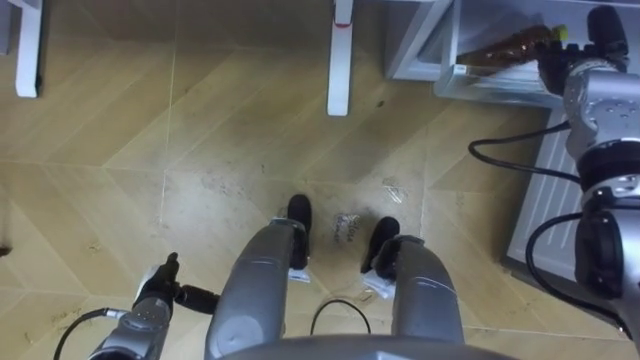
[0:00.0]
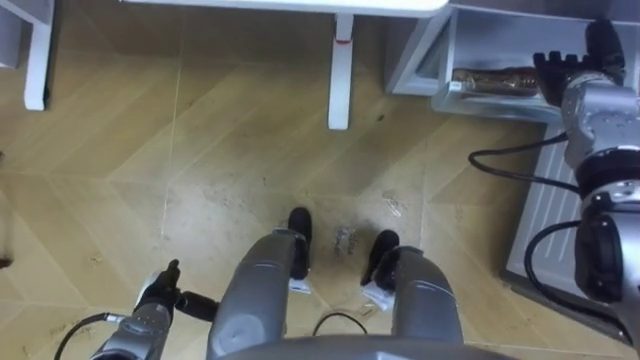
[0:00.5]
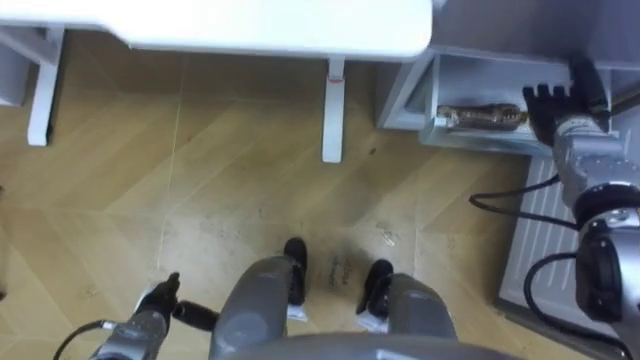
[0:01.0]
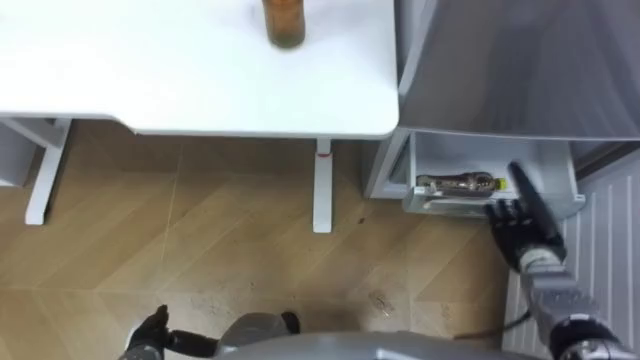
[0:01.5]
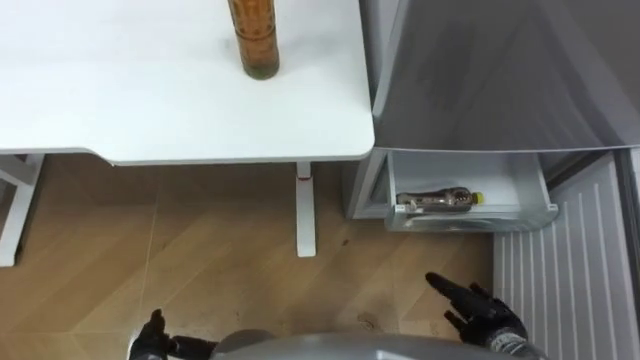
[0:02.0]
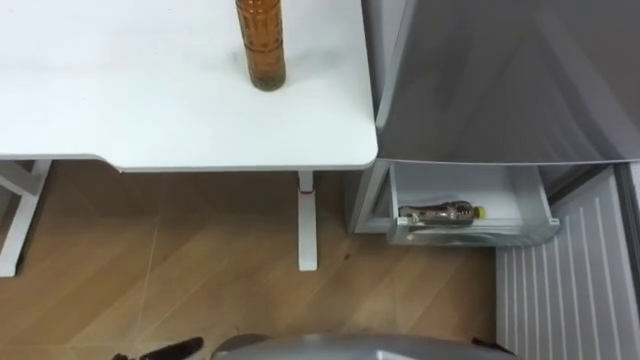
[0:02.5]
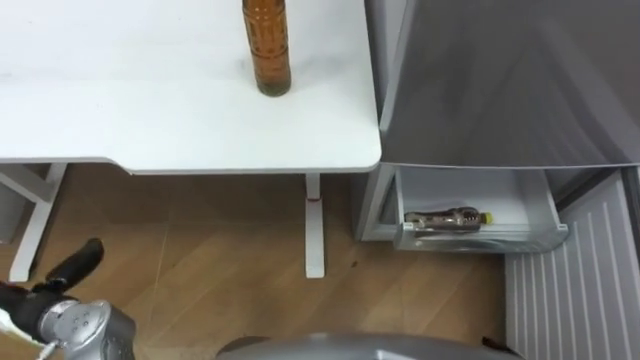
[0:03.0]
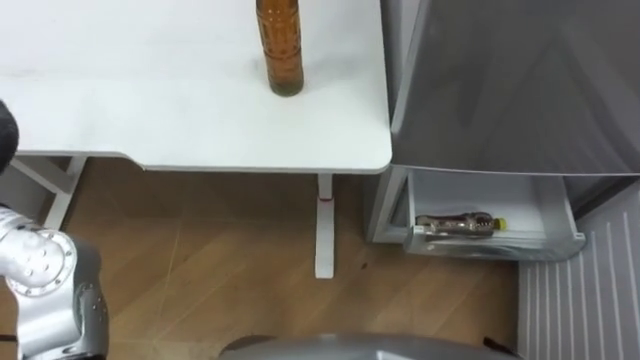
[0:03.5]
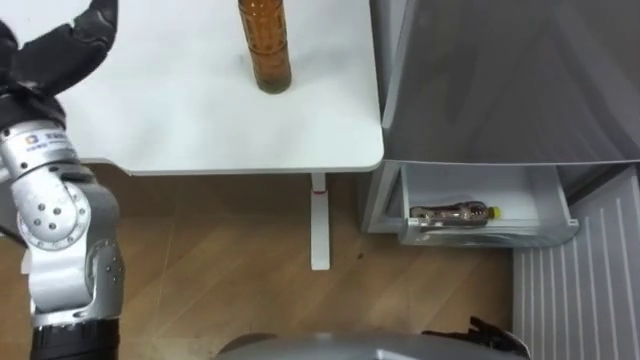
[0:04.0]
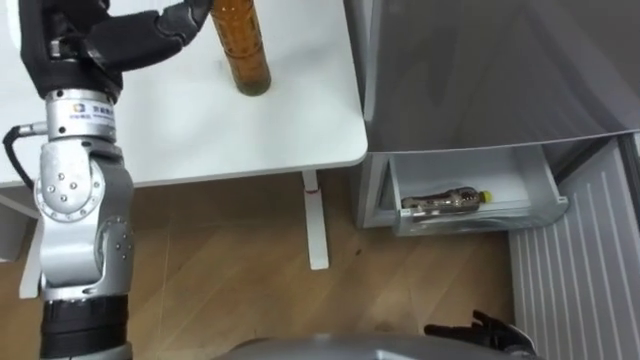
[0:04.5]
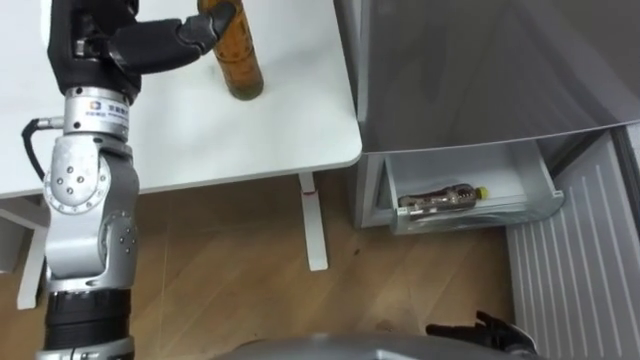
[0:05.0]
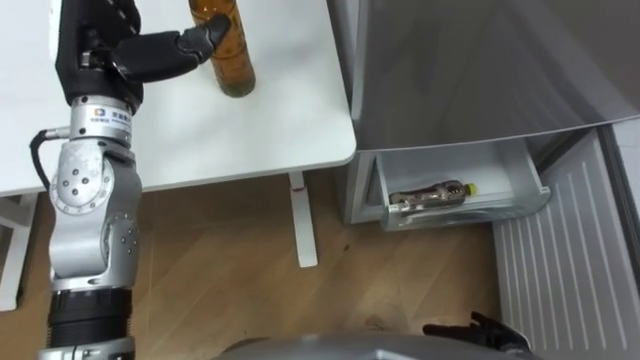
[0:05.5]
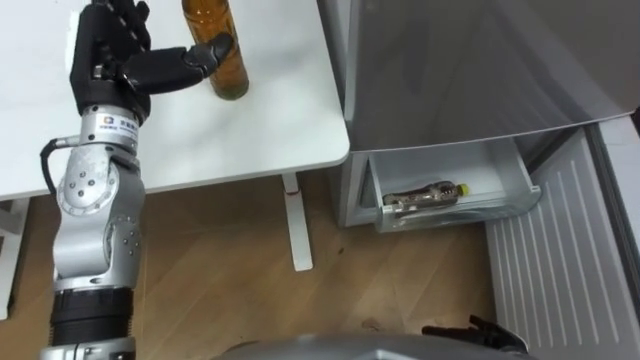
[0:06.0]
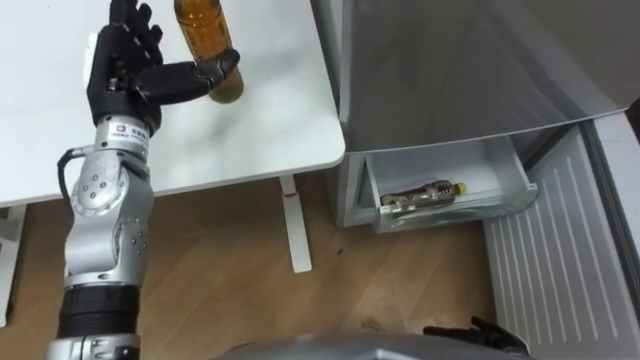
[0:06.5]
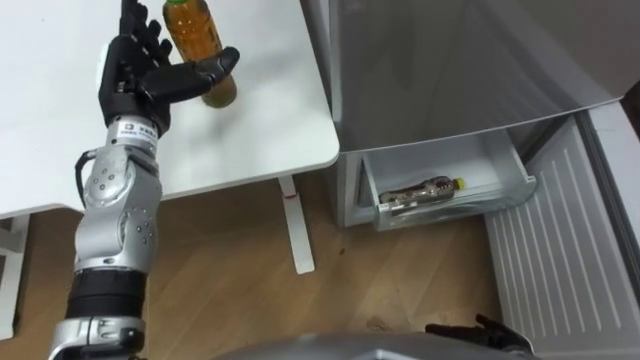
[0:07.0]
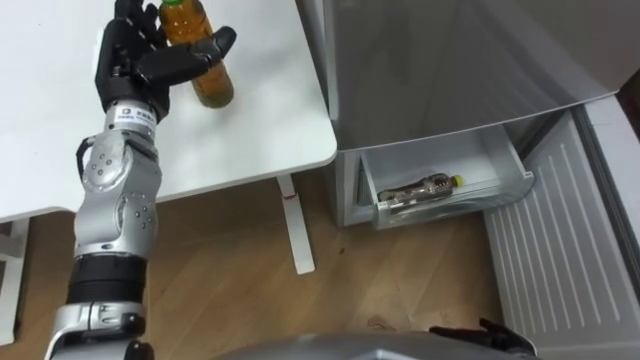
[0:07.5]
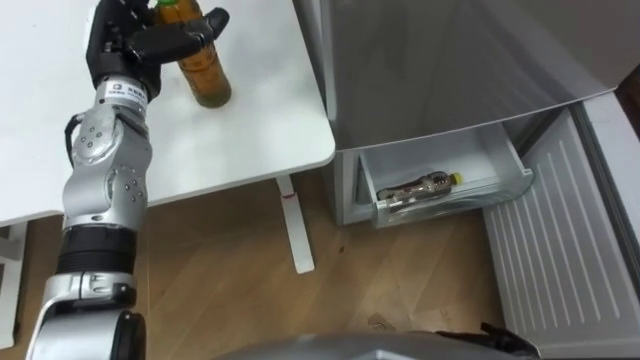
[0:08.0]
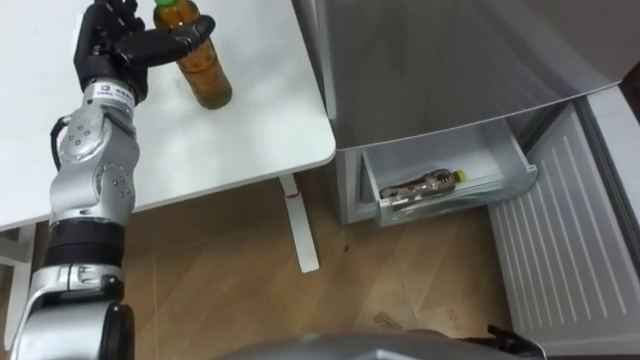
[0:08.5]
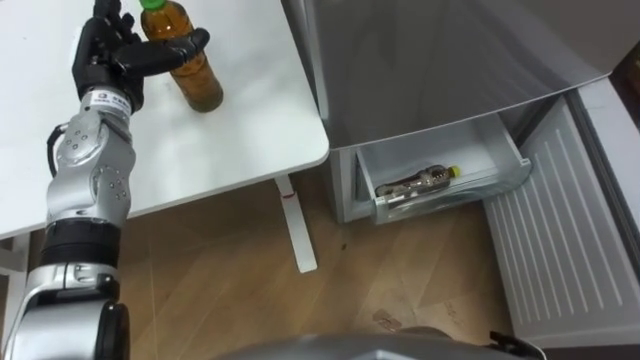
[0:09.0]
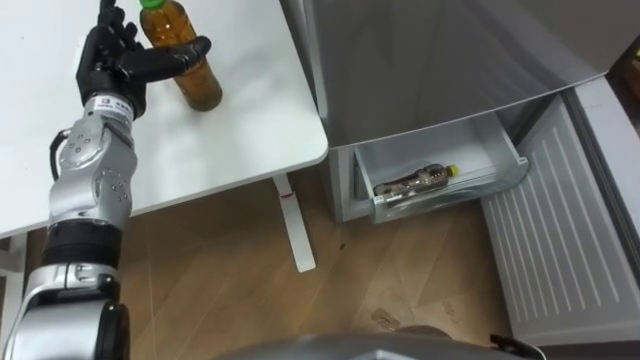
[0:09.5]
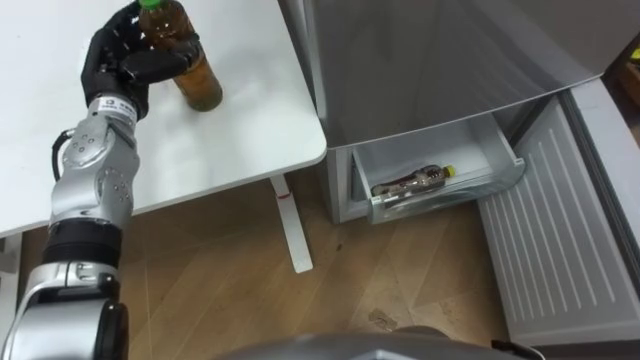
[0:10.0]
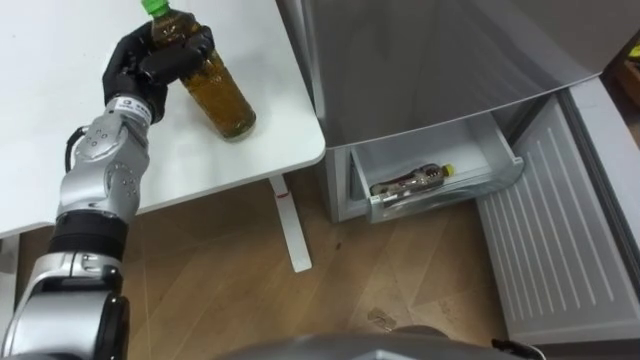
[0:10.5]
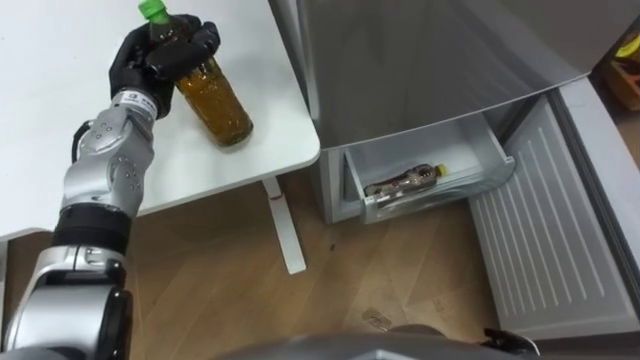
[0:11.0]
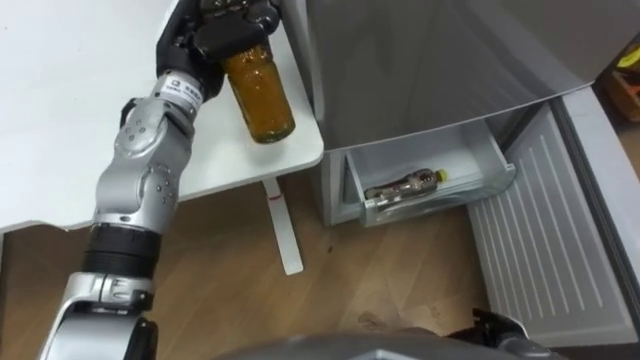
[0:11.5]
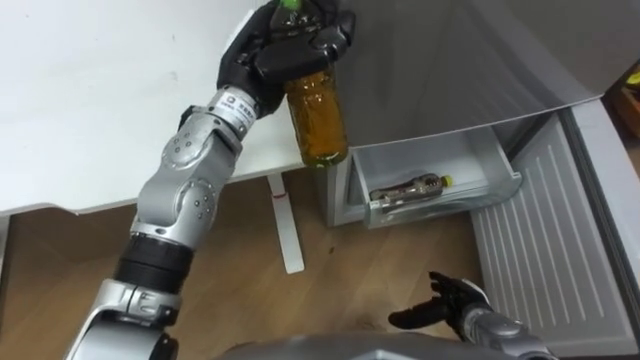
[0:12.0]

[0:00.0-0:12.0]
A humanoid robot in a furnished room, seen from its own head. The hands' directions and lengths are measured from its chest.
Task of the whole recording: Place the drink on the table on the bottom shelf of the refrigerator, then close the drawer and the refrigerator door.
0:00.0 to 0:02.0: The right hand goes some 40 cm backward and downward; the left hand moves backward, roughly 10 cm.
0:06.0 to 0:08.0: The left hand ends up about 5 cm from where it was.
0:08.0 to 0:10.0: The left hand closes its fingers.
0:10.0 to 0:12.0: The left hand goes some 20 cm to the right, and closes its fingers.

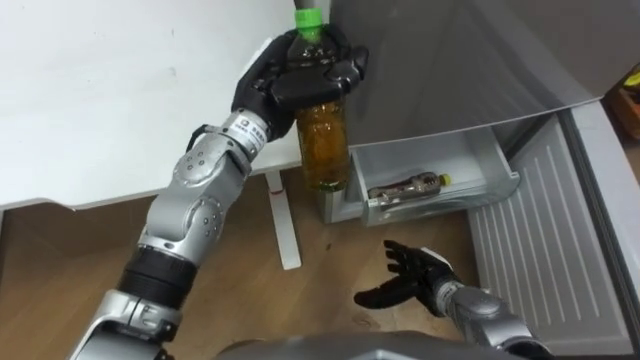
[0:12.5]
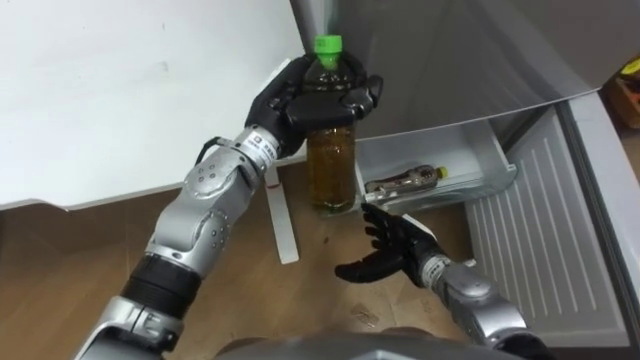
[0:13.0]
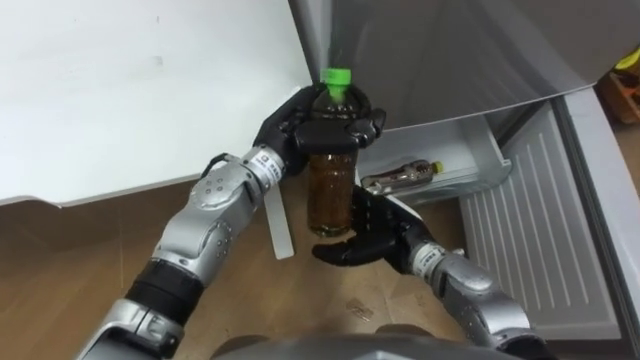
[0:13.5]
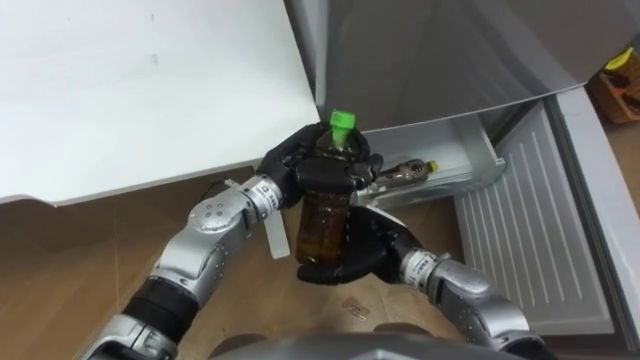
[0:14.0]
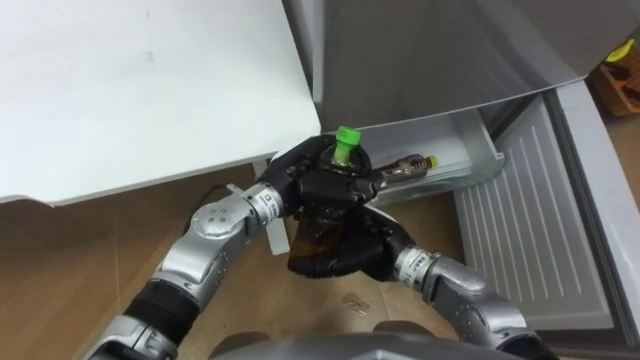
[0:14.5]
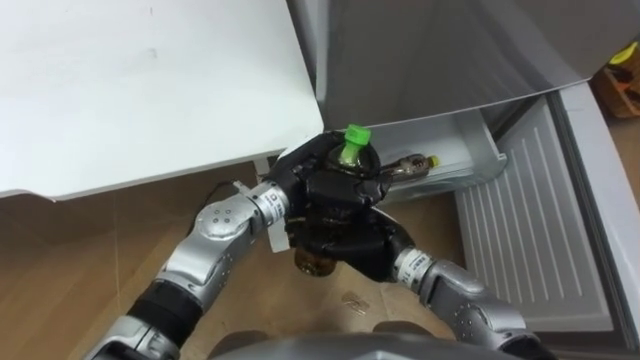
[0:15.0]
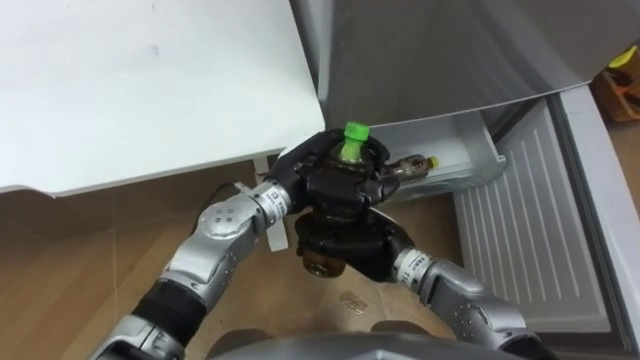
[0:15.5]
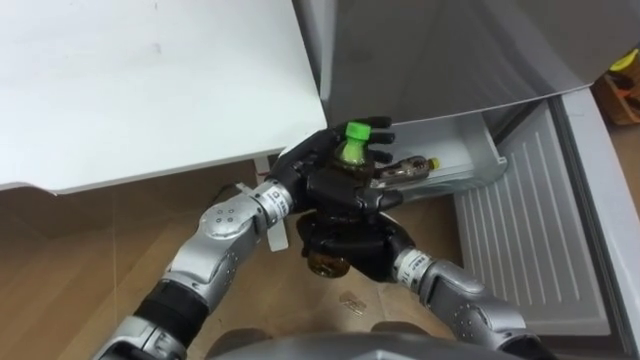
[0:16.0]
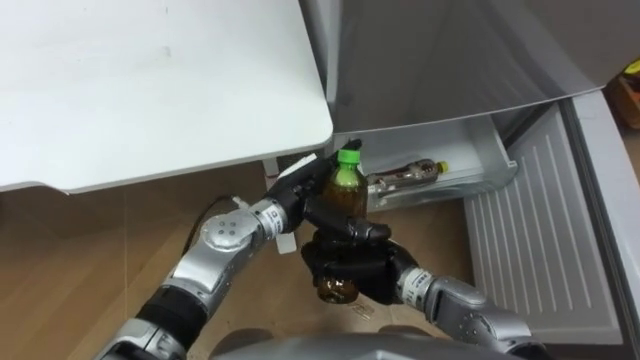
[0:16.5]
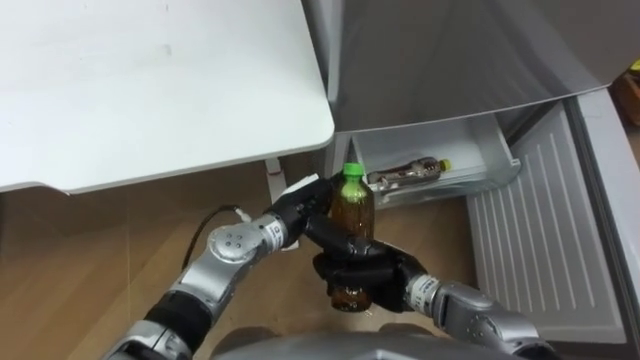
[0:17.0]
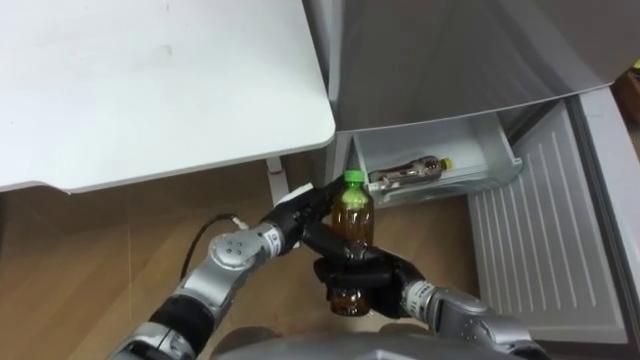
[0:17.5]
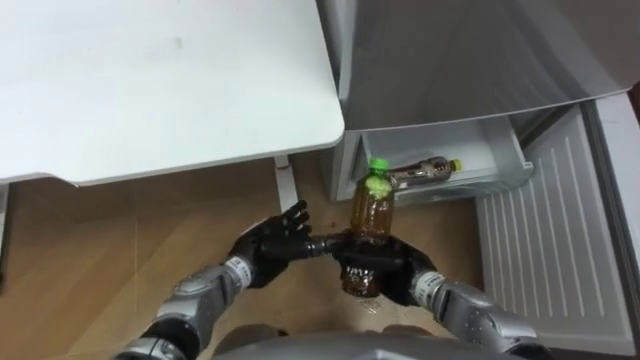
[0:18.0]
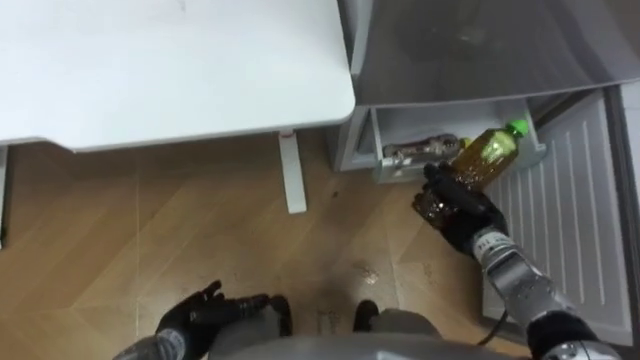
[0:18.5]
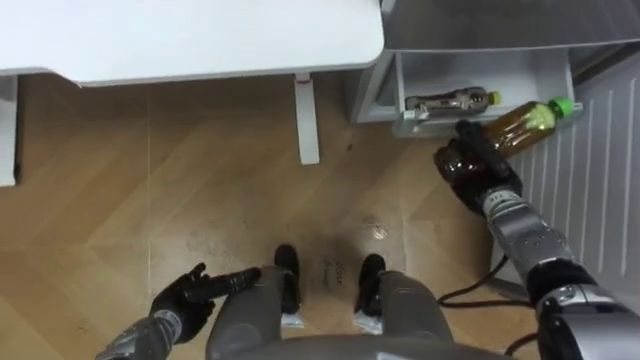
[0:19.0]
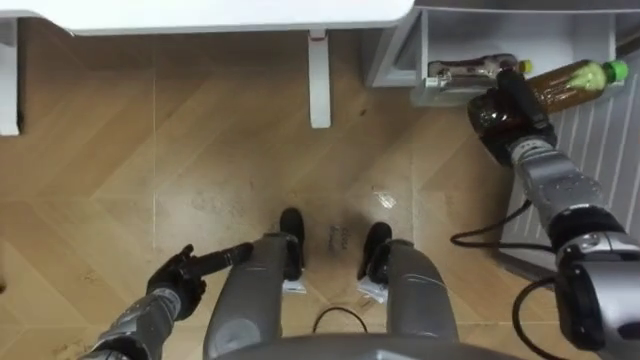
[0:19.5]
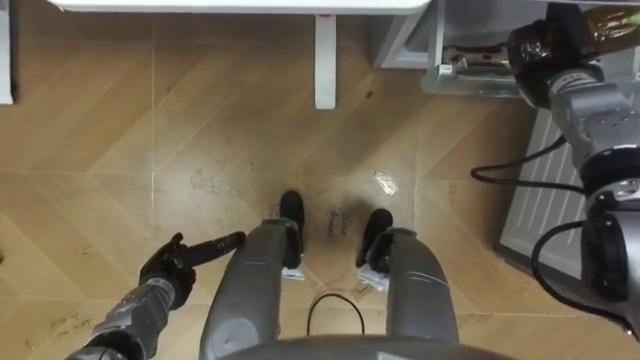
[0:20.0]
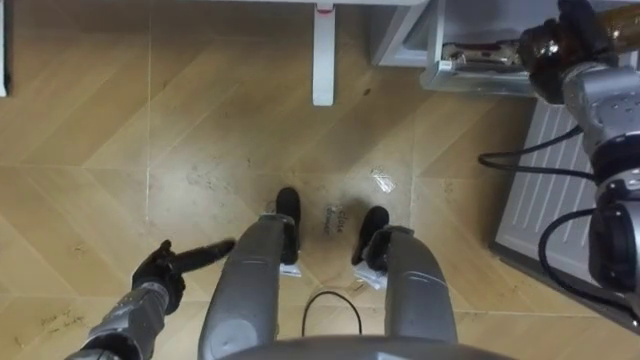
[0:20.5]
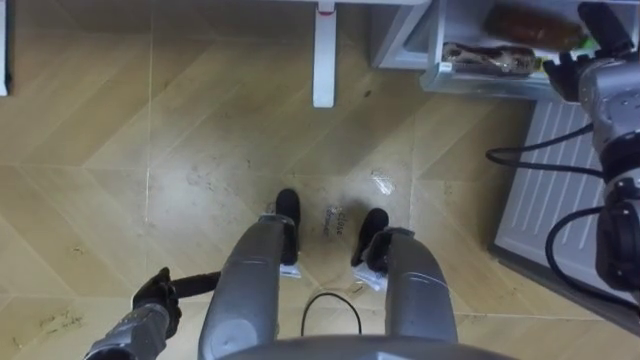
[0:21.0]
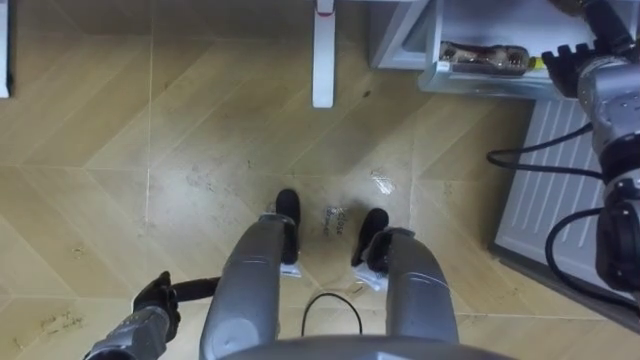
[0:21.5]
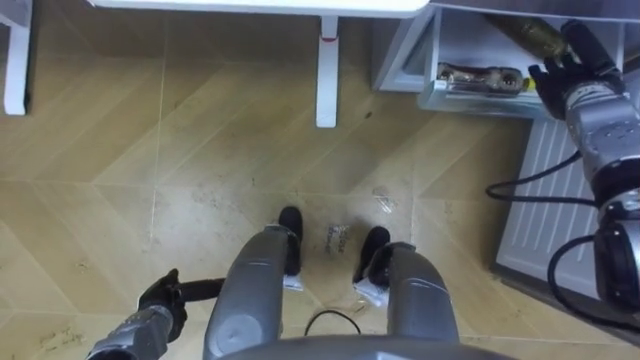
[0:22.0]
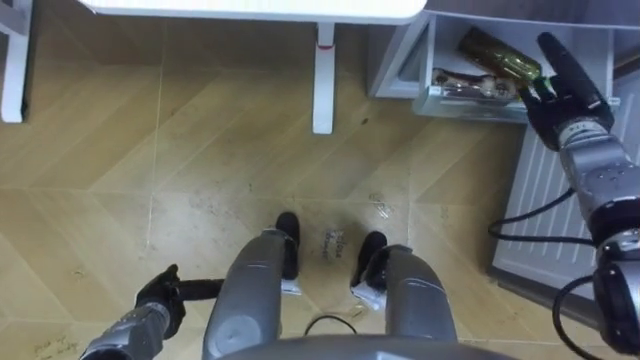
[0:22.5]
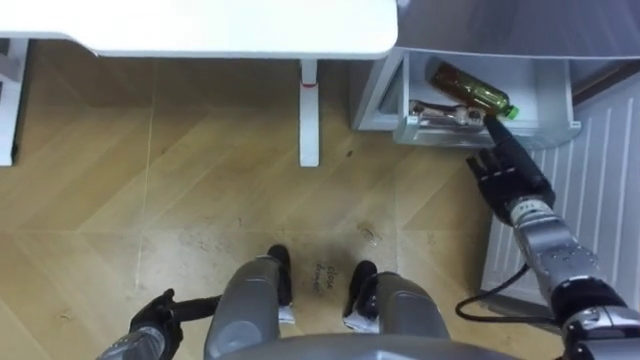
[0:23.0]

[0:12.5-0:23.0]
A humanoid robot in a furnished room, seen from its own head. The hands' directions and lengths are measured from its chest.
Task of the whole recording: Place the drink on the table on the bottom shelf of the refrigerator, then close the drawer and the refrigerator door.
0:12.5 to 0:14.5: The left hand moves downward and backward, some 10 cm, while the right hand shifts roughly 15 cm upward and to the left.
0:14.5 to 0:16.5: The left hand opens, while the right hand closes its fingers.
0:16.5 to 0:19.0: The left hand shifts roughly 25 cm to the left, downward and backward; the right hand travels to the right and forward by about 20 cm.
0:19.0 to 0:21.0: The right hand shifts roughly 20 cm upward, forward and to the right, and opens.
0:21.0 to 0:23.0: The right hand travels downward, backward and to the left by about 20 cm.
